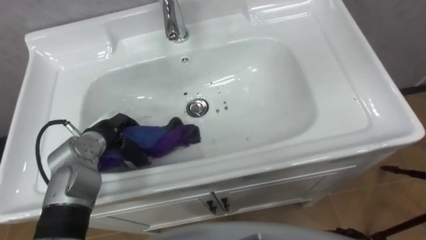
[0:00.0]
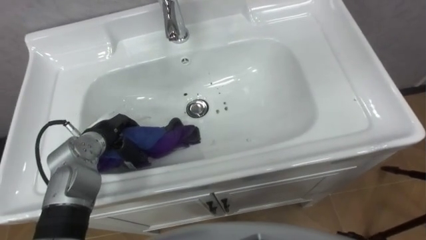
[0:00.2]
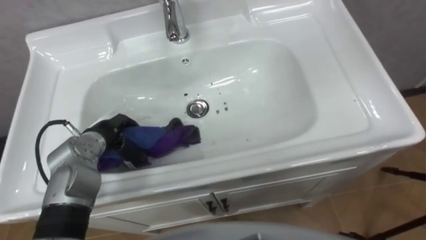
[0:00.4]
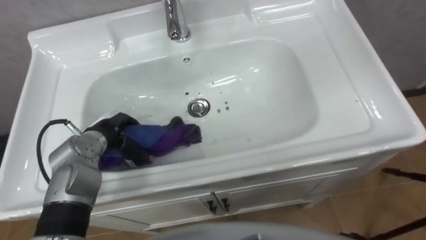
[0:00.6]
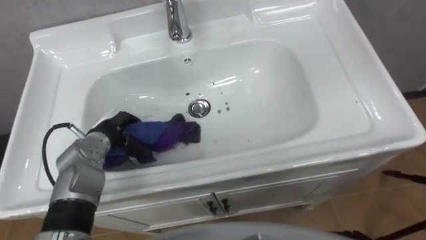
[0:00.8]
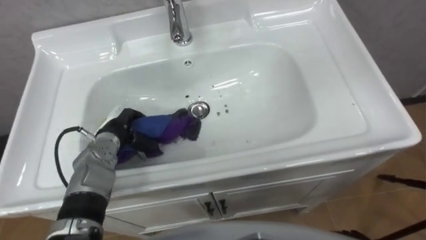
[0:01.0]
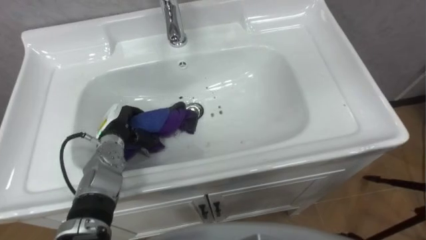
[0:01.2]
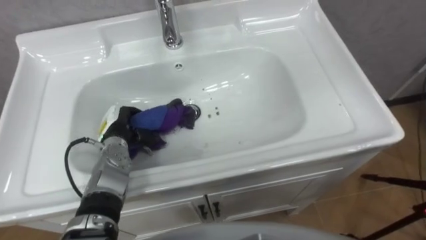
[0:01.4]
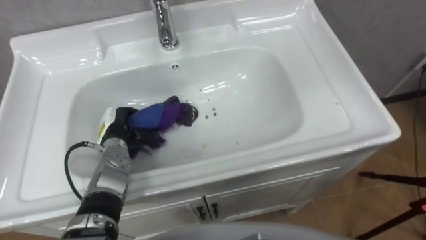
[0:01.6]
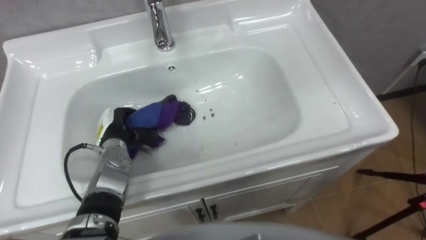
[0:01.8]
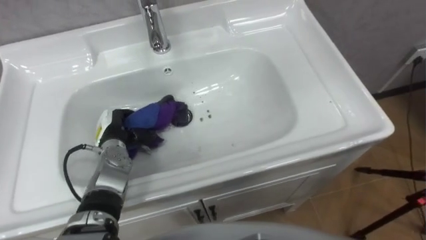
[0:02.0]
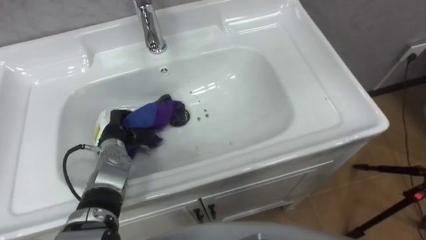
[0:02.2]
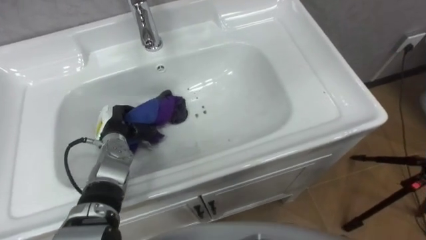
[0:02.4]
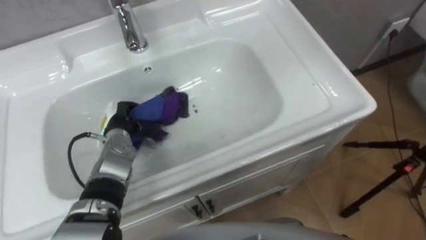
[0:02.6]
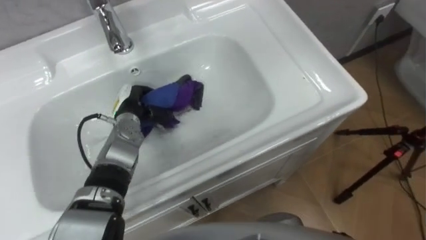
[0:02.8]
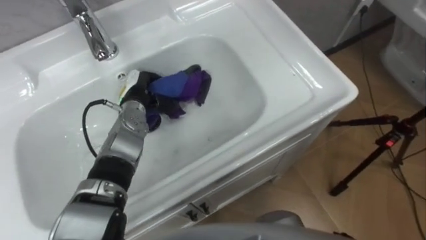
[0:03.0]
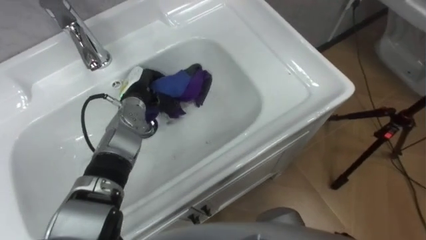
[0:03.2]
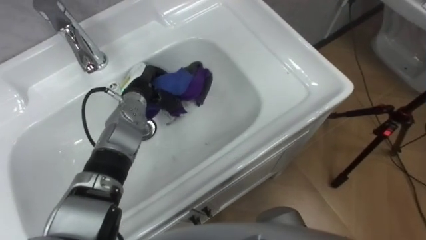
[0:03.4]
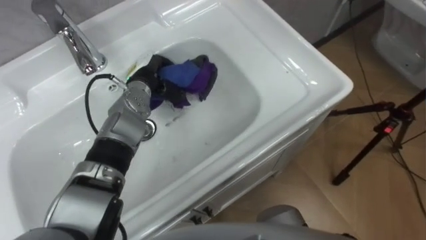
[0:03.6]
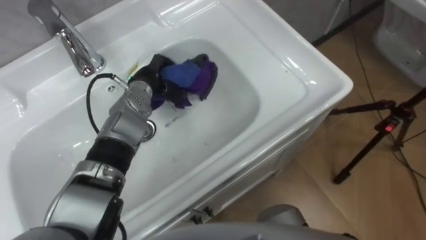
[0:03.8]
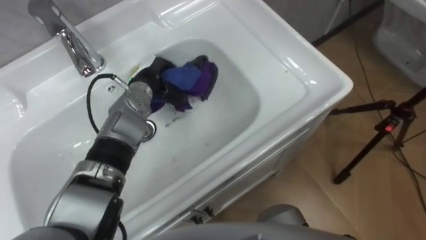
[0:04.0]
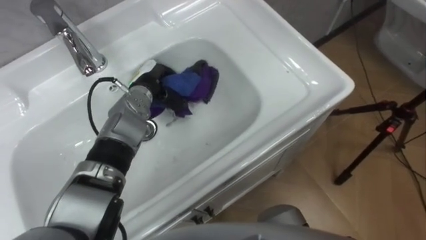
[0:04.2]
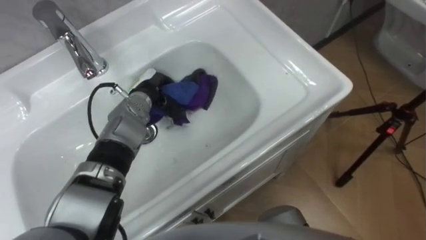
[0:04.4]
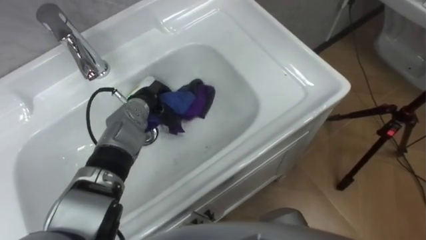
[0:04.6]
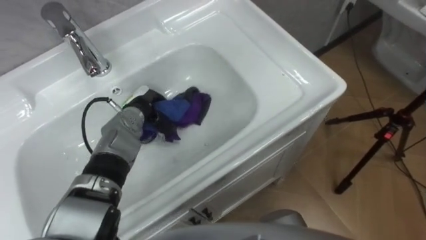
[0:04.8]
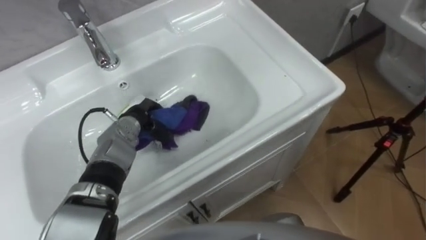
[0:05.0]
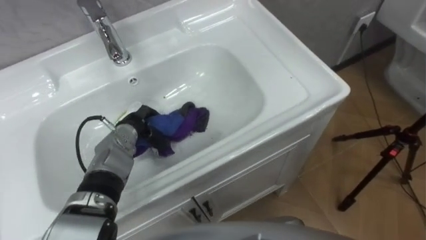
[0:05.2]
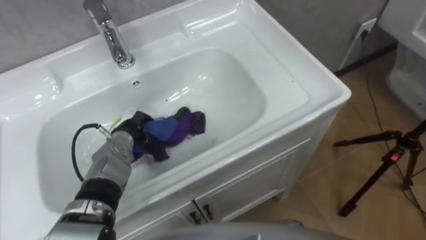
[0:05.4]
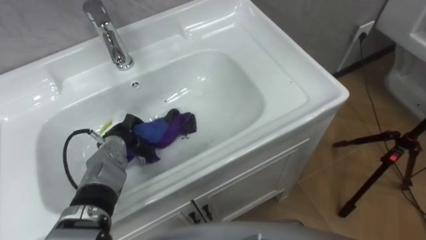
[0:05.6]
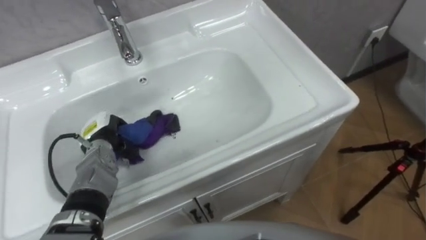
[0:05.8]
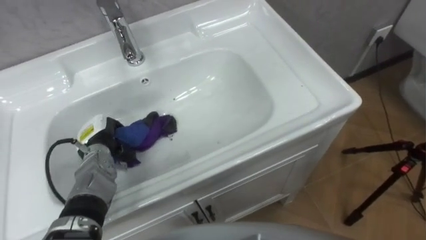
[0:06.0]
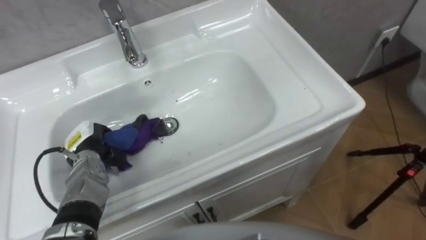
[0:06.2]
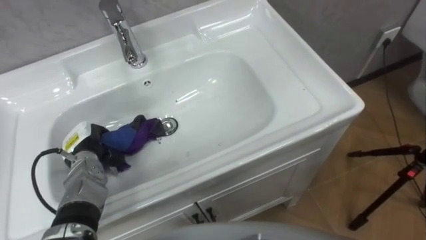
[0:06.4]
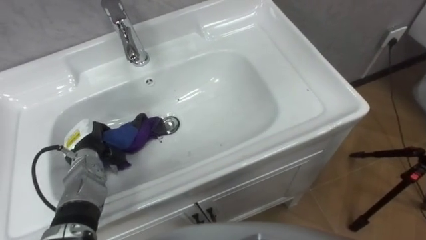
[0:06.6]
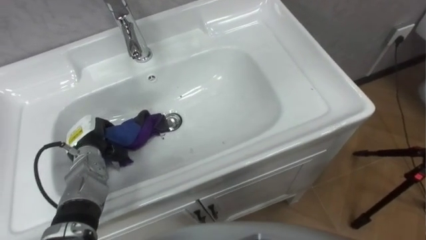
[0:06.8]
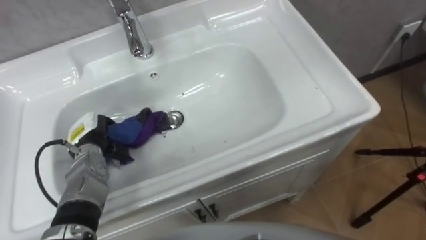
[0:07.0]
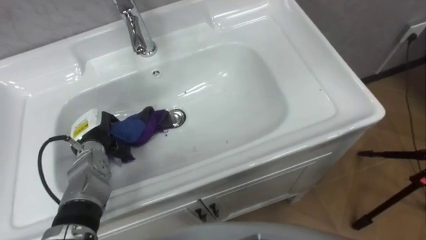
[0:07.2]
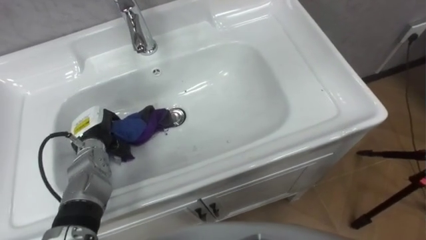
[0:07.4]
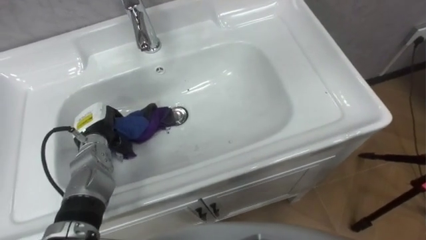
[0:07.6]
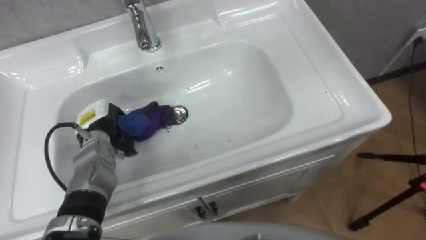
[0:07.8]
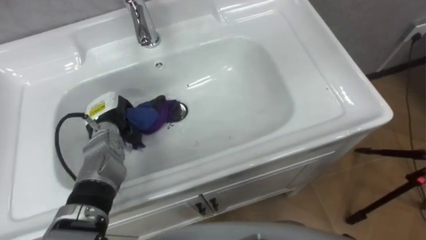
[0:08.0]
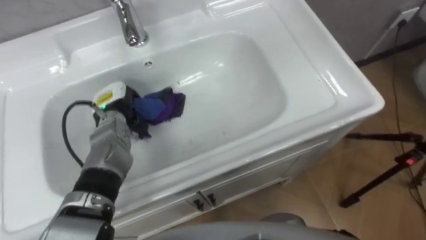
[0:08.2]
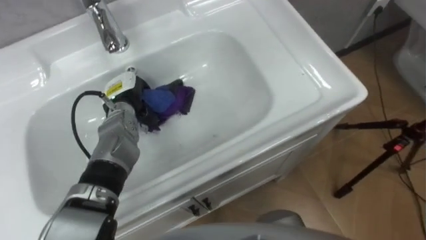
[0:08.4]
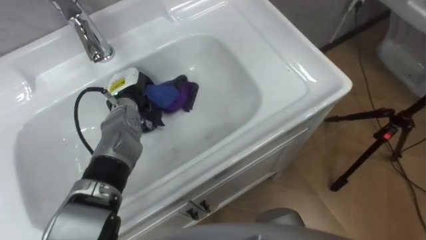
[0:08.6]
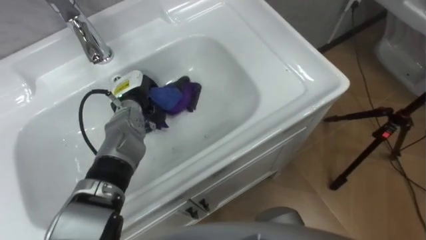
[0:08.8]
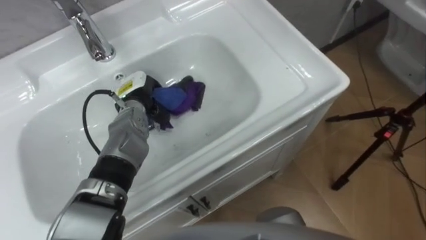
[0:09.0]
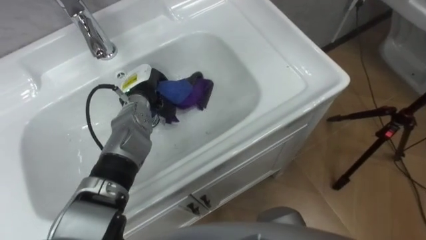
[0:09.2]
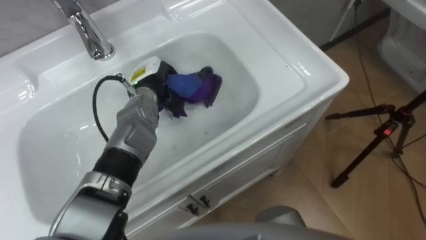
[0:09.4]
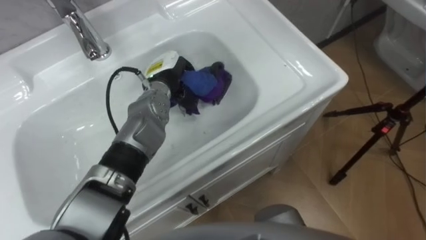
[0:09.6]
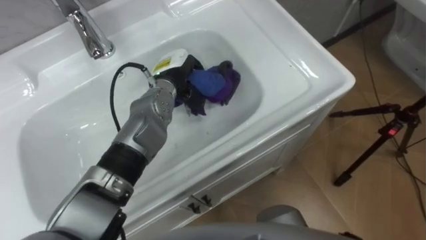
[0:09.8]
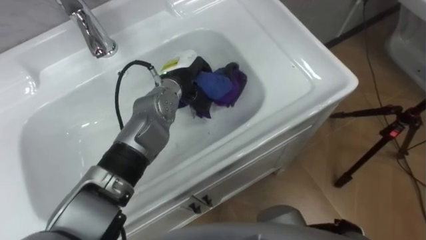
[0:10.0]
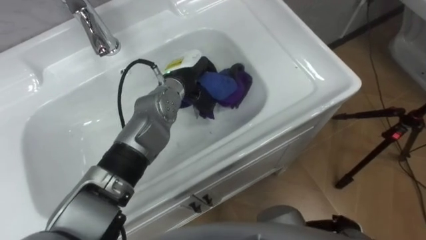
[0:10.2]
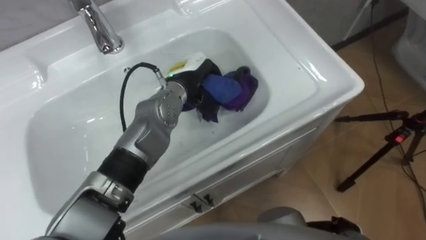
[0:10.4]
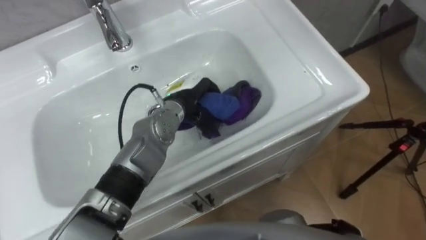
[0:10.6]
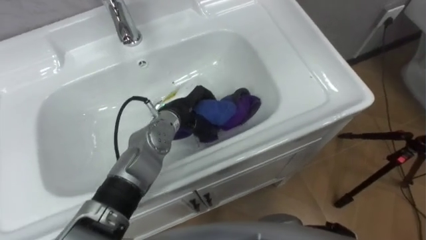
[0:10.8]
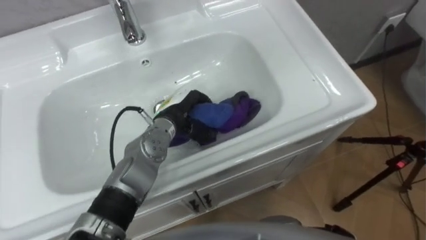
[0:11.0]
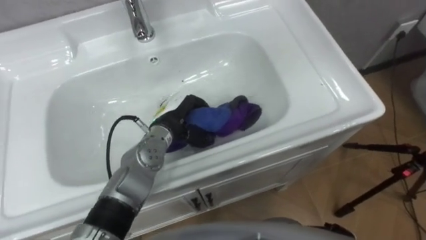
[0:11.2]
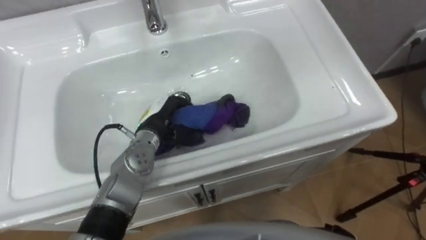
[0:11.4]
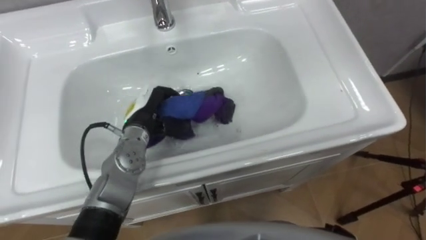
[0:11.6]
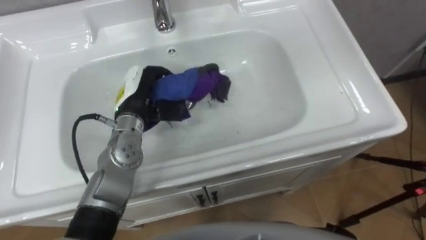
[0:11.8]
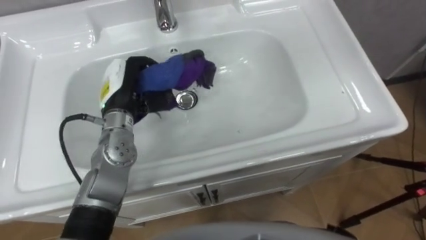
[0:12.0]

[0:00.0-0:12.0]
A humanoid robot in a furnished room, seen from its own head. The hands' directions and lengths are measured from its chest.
Task of the whole recording: Use the cloth on the right to wipe away the black stain in the sink.
0:01.6 to 0:03.0: The left hand travels forward and to the right by some 10 cm.
0:04.4 to 0:06.0: The left hand travels to the left, backward and downward by roughly 15 cm.
0:07.6 to 0:09.0: The left hand goes approximately 10 cm to the right and forward.
0:09.0 to 0:10.4: The left hand travels to the right and upward by some 15 cm.
0:10.4 to 0:12.0: The left hand shifts about 10 cm to the left.

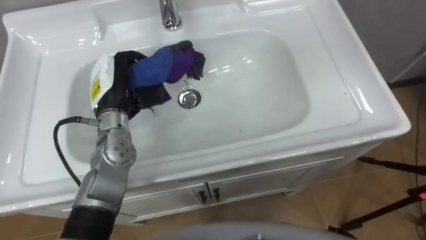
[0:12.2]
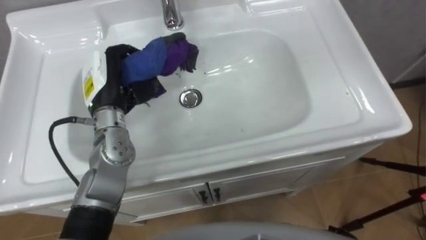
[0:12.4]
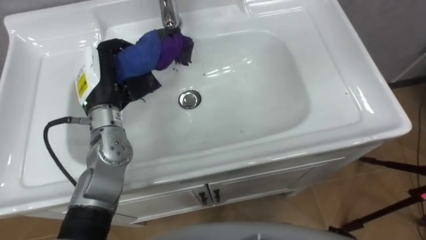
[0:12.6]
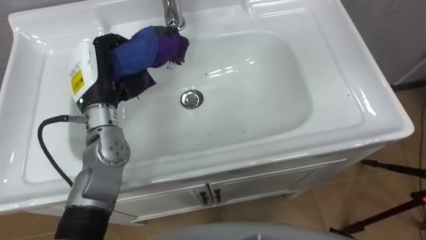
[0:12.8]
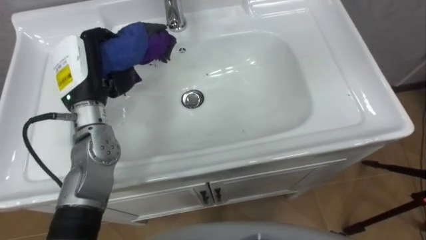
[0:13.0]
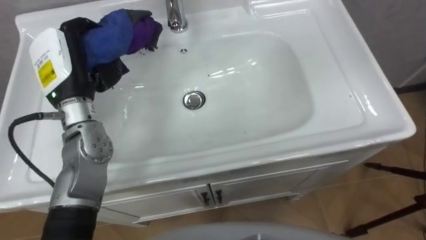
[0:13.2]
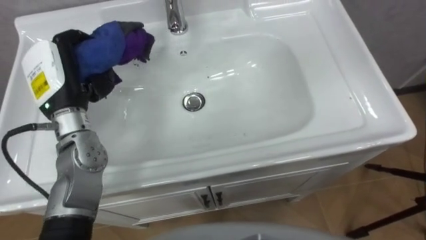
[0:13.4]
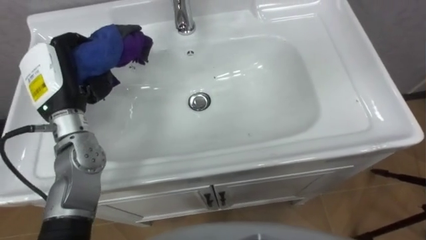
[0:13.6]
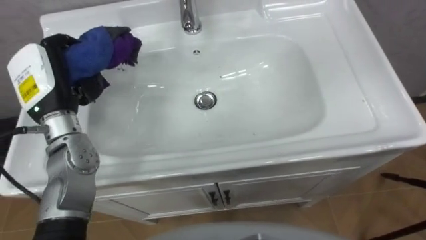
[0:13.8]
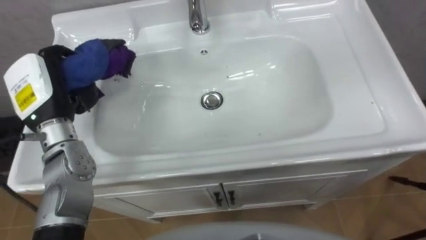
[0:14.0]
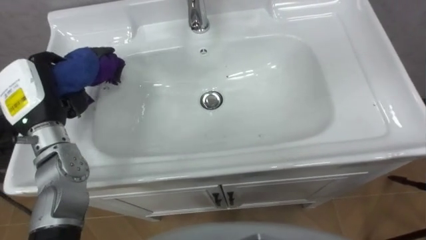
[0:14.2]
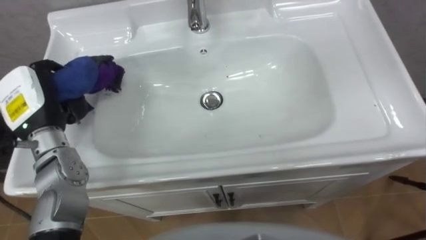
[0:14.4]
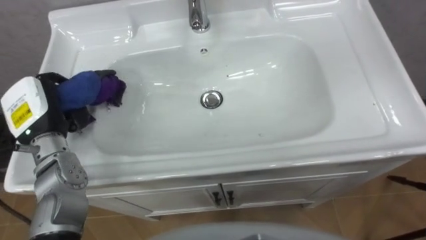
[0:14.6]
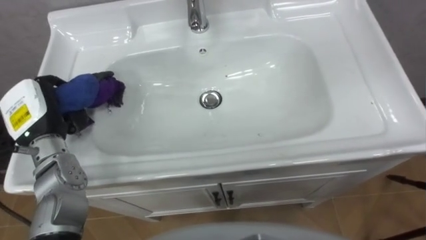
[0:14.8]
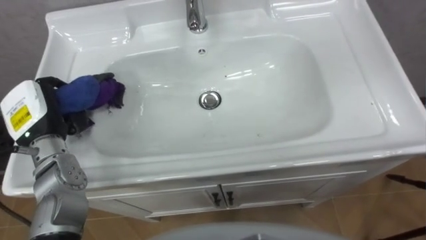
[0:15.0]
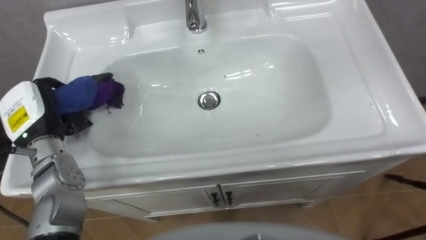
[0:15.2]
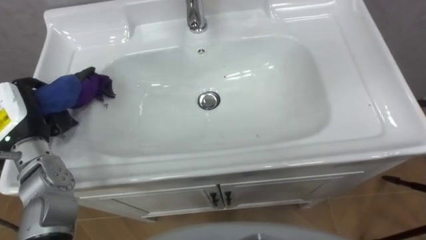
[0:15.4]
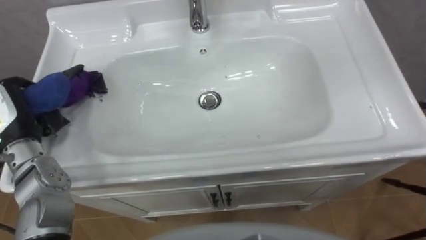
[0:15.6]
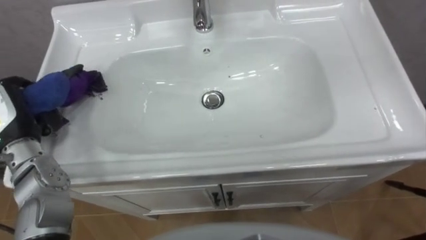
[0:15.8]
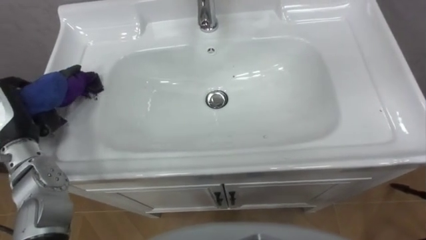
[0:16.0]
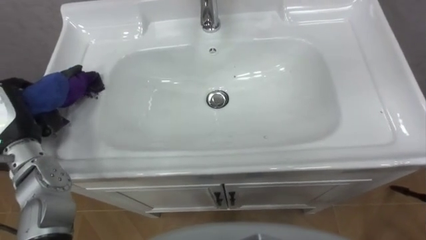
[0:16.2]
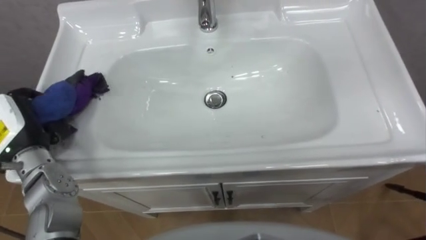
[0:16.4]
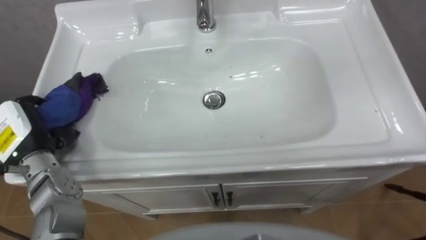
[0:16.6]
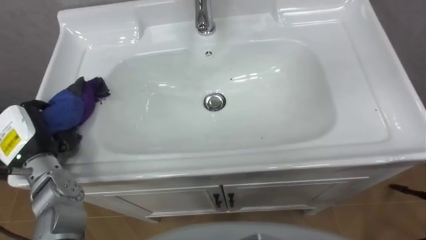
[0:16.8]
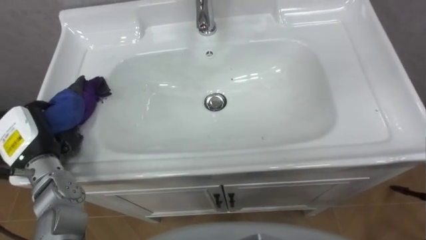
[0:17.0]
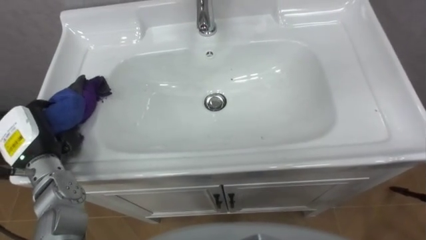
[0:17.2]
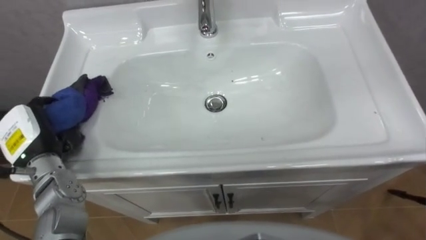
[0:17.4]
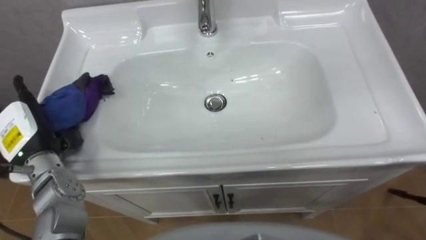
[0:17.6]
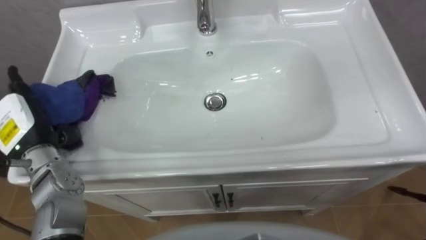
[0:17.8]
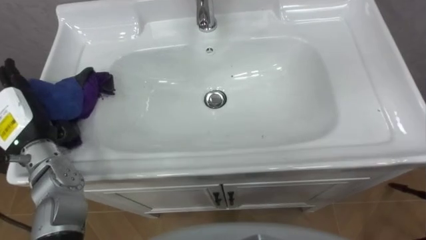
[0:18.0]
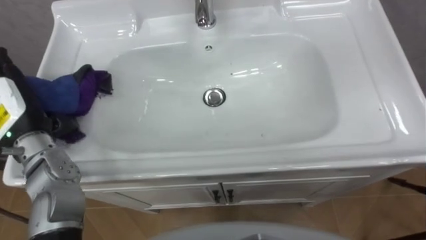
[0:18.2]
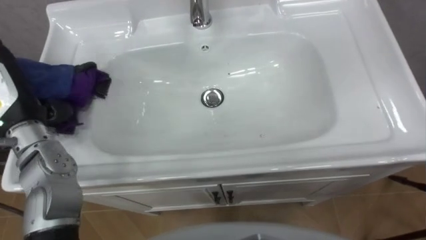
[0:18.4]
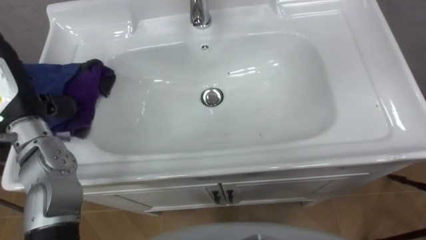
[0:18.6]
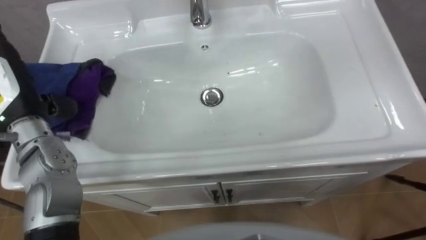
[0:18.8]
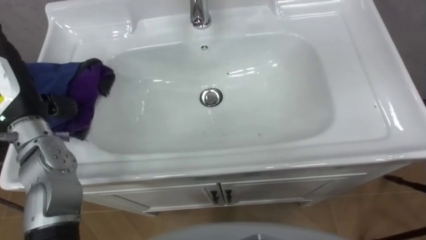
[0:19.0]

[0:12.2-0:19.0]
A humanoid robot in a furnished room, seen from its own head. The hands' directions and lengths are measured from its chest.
Task of the whole recording: Use the cloth on the right to wipe away the black stain in the sink.
0:12.2 to 0:13.6: The left hand heads to the left and upward, covering about 10 cm.
0:13.6 to 0:15.0: The left hand moves to the left, about 5 cm.
0:17.6 to 0:19.0: The left hand moves upward, approximately 10 cm.
